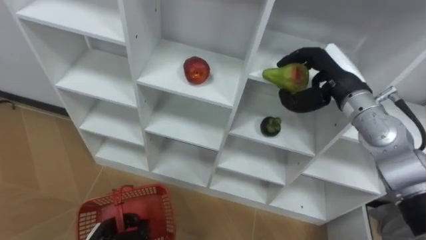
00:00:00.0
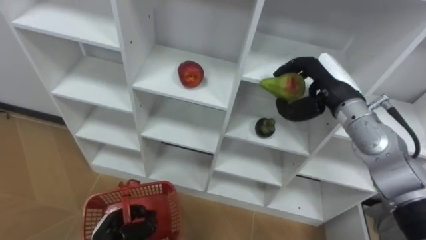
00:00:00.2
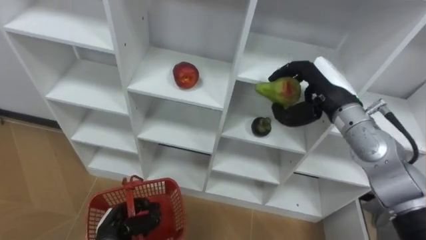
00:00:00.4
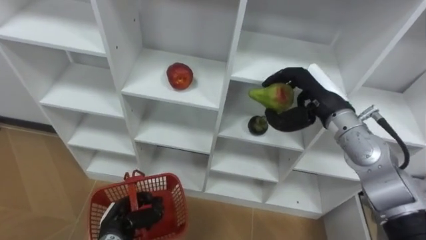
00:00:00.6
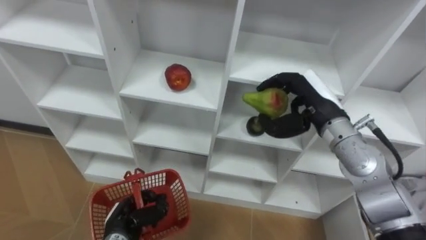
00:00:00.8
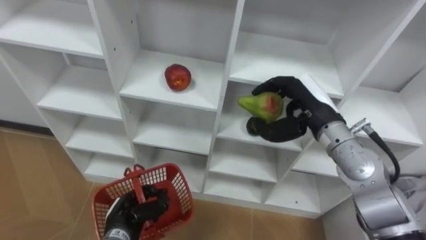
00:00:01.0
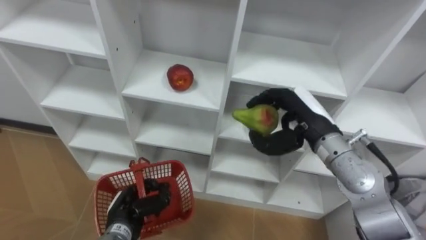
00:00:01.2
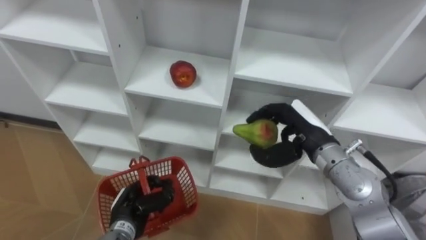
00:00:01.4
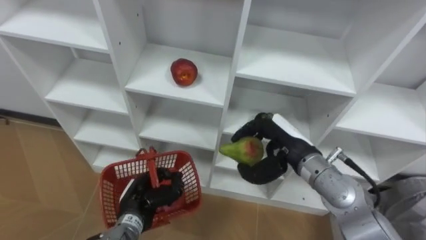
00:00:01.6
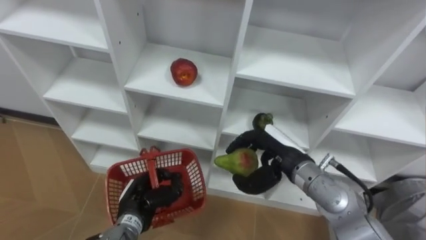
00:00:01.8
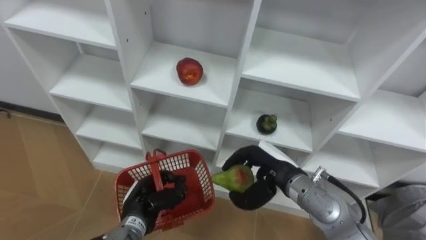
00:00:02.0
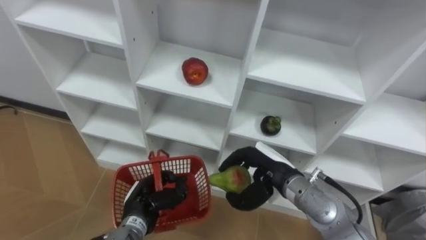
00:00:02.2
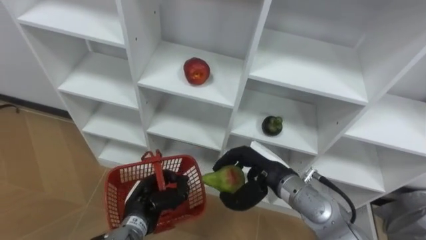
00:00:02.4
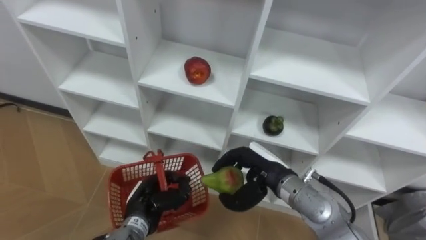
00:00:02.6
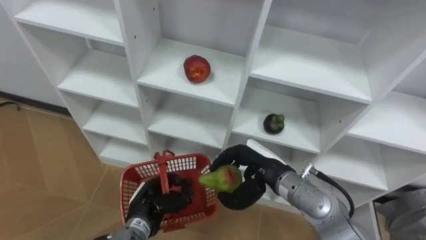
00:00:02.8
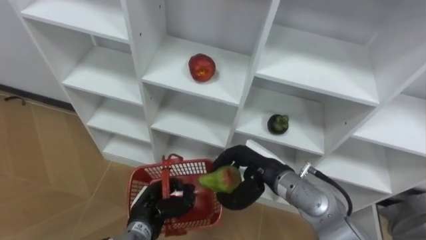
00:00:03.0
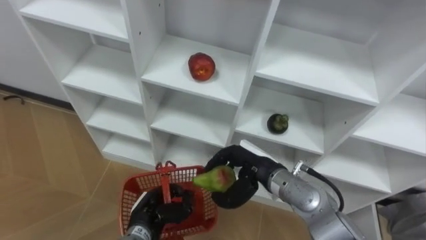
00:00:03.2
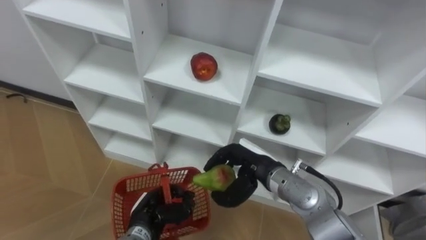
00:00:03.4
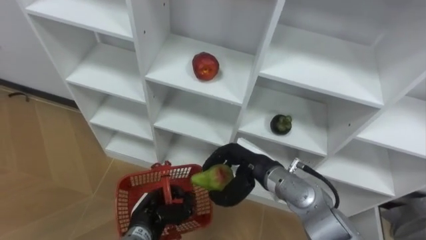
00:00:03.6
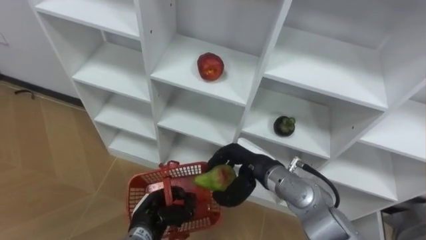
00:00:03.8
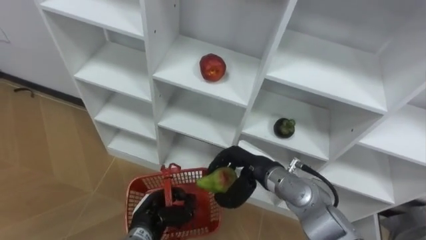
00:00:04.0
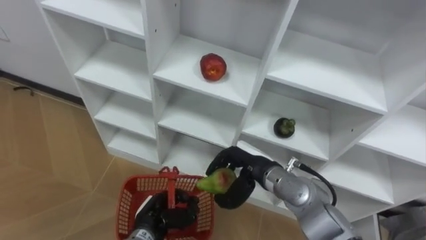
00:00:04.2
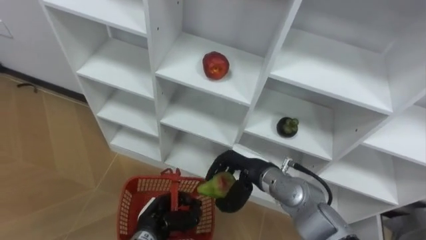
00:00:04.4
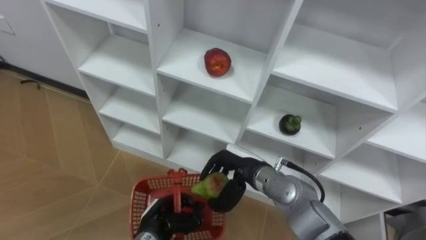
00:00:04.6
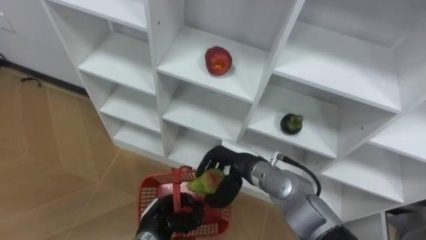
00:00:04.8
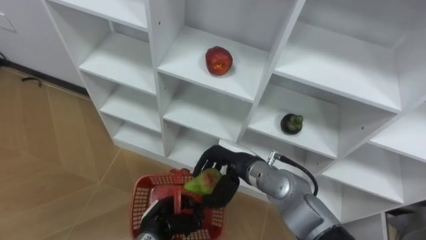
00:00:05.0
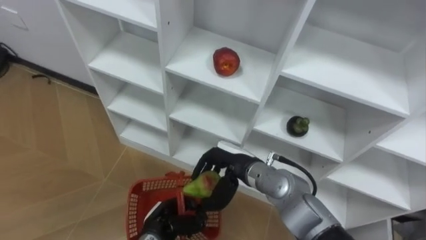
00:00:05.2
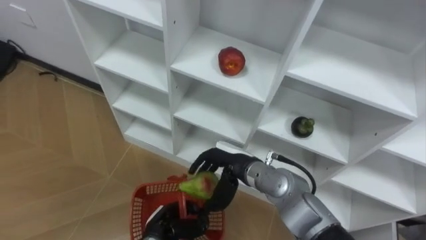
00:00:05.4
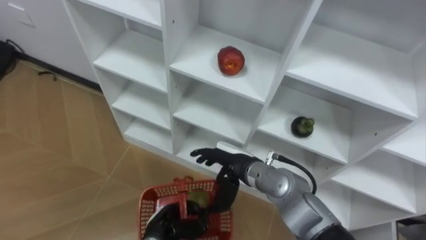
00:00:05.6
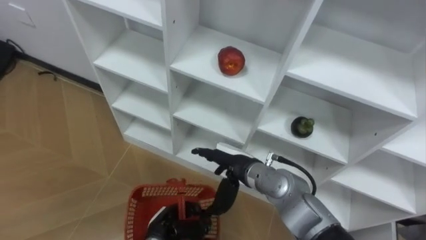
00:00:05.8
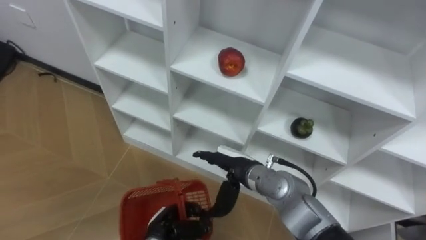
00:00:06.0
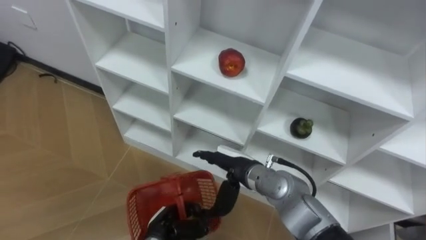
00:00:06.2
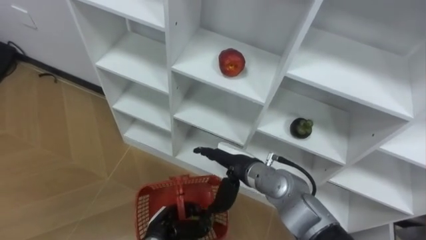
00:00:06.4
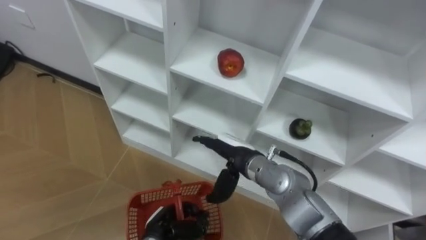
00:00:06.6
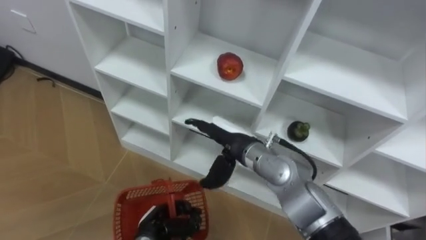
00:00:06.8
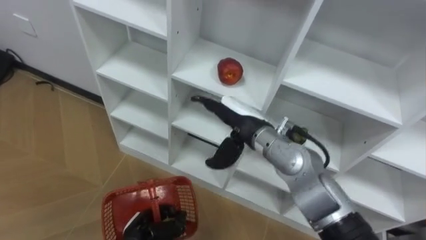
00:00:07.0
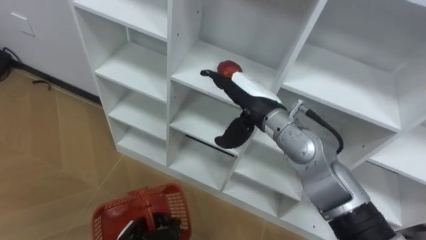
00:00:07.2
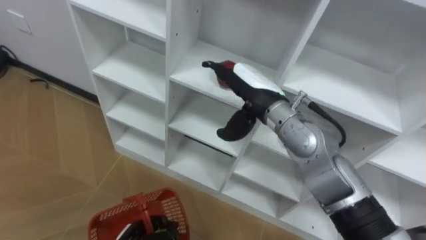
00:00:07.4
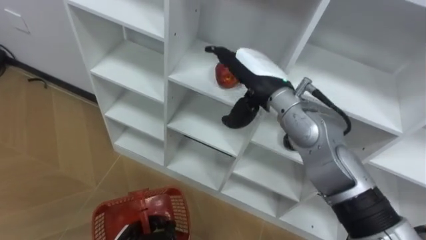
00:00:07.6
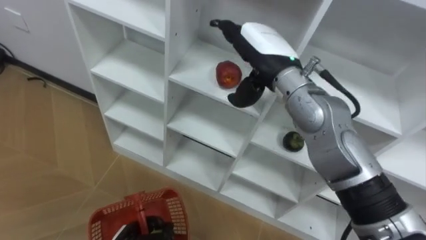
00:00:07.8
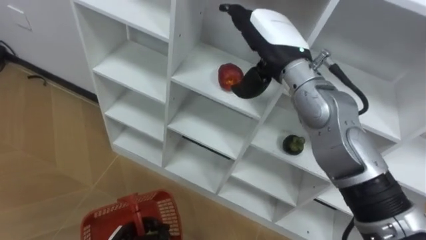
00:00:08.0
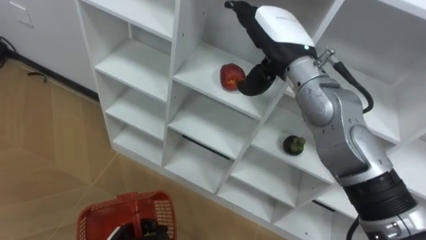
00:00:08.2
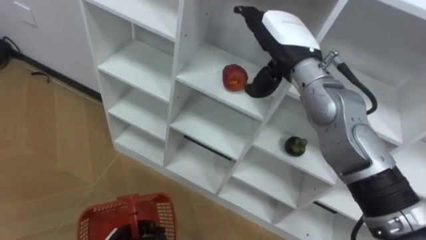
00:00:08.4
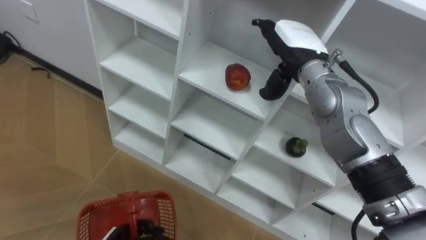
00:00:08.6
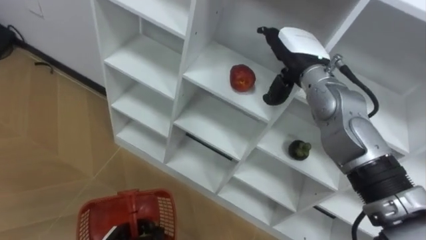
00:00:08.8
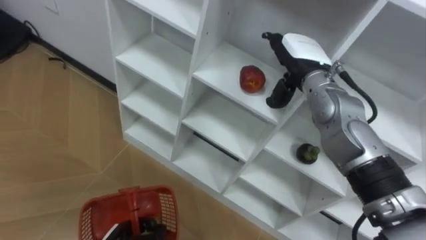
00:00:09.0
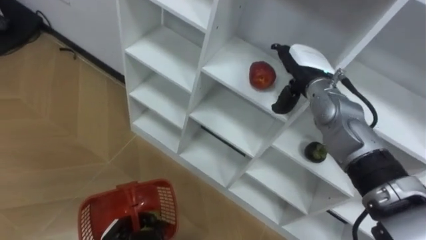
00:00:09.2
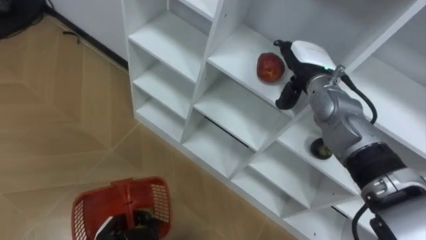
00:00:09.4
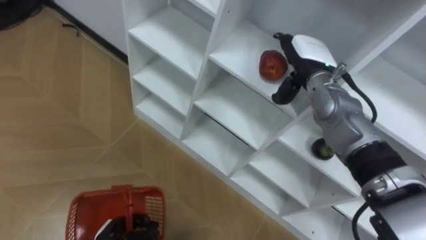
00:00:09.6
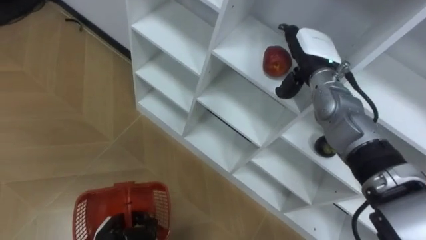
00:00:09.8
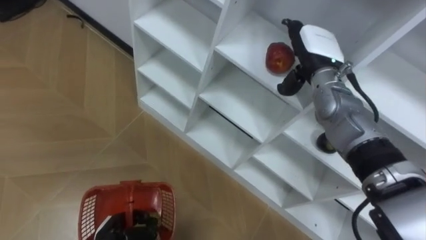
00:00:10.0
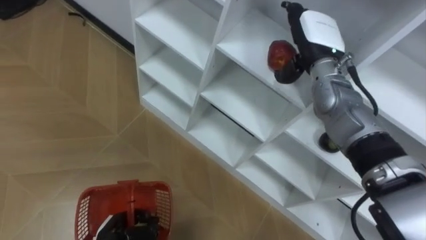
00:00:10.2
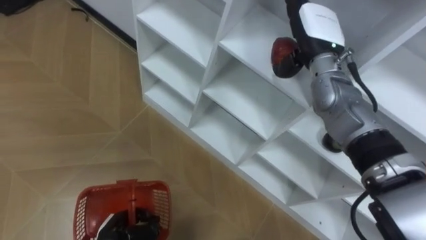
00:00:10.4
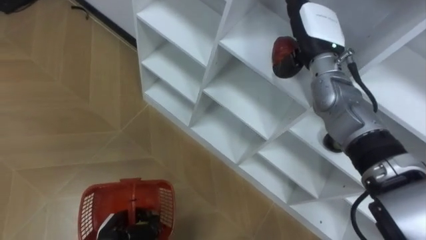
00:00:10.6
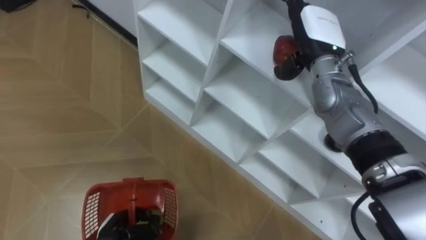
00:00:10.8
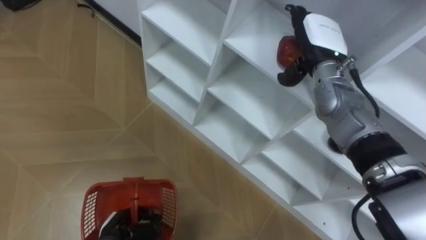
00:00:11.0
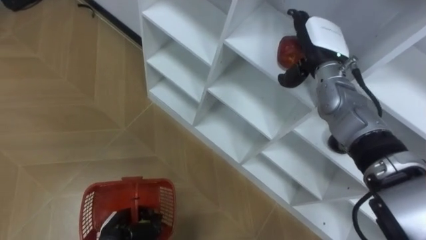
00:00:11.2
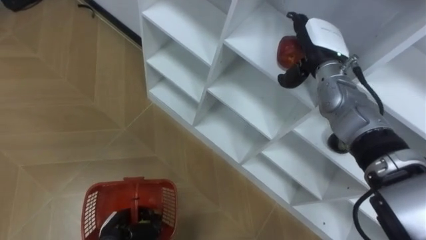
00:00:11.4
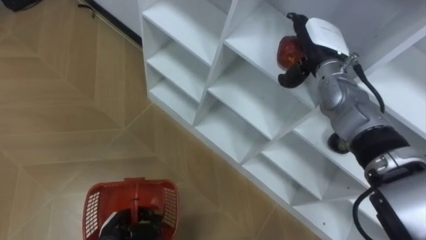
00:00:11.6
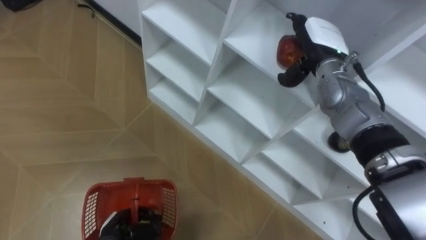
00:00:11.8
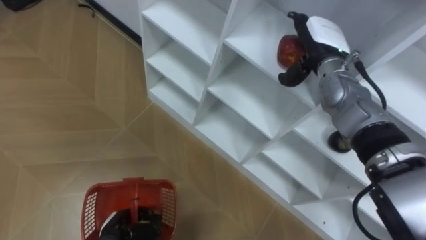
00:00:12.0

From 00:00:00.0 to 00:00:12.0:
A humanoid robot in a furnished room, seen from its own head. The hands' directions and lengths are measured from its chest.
Task of the whole recording: Hold the basket and collect the fruits from 3 different cells of the closet into it.
From 00:00:00.0 to 00:00:01.6: The right hand is displaced downward, backward and to the left by approximately 15 cm; the left hand moves forward, to the right and upward, approximately 10 cm.
From 00:00:01.6 to 00:00:03.0: The right hand changes place by some 5 cm.
From 00:00:04.4 to 00:00:06.0: The right hand opens its fingers.
From 00:00:06.0 to 00:00:07.6: The left hand is displaced to the left by about 5 cm; the right hand heads upward and forward, covering approximately 20 cm.
From 00:00:07.6 to 00:00:09.0: The right hand goes approximately 10 cm to the right and forward.

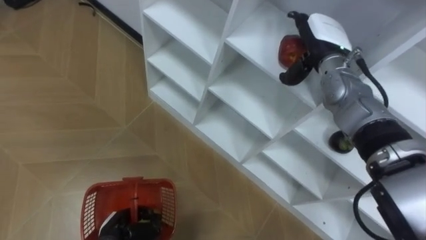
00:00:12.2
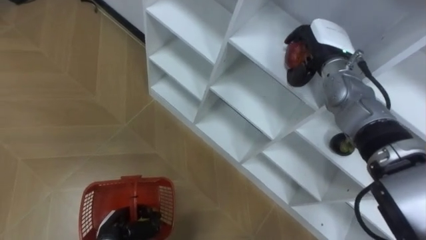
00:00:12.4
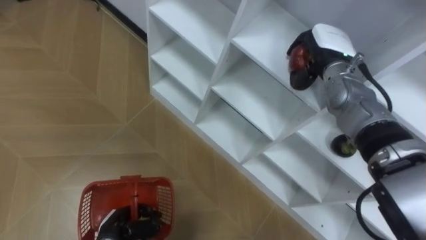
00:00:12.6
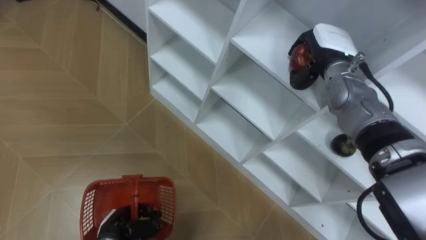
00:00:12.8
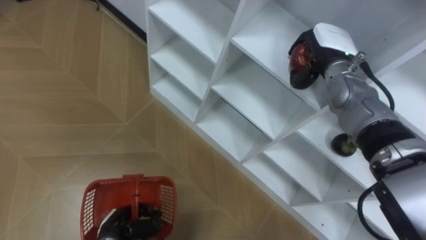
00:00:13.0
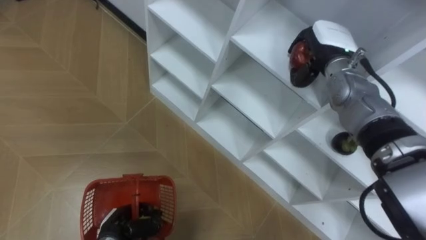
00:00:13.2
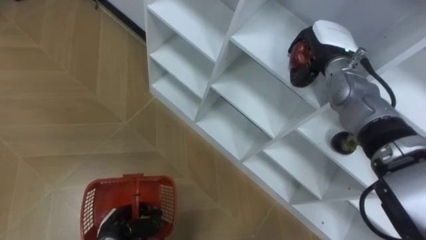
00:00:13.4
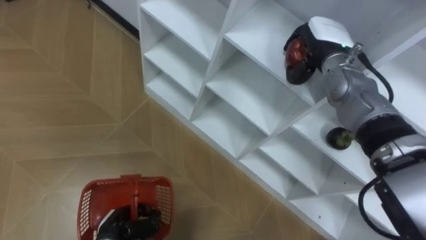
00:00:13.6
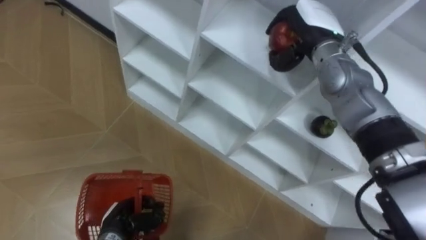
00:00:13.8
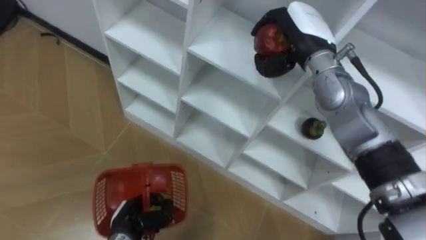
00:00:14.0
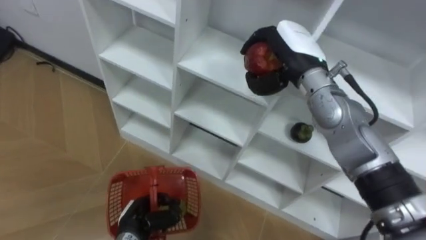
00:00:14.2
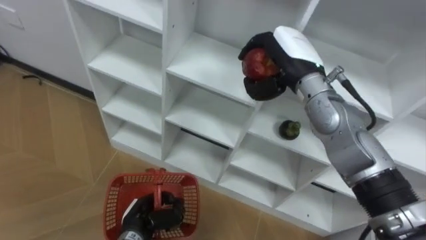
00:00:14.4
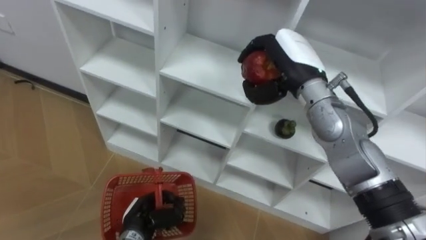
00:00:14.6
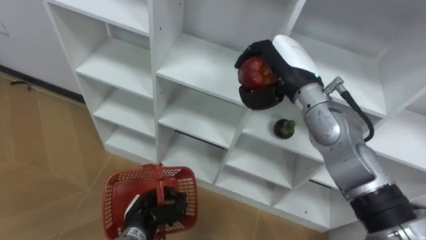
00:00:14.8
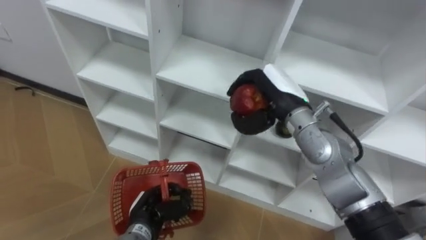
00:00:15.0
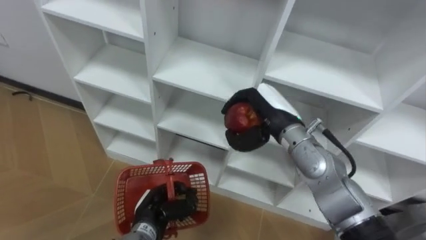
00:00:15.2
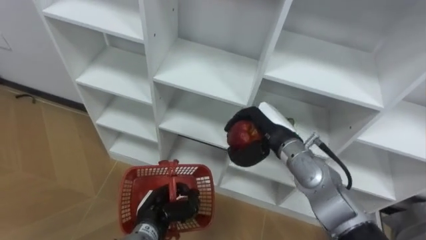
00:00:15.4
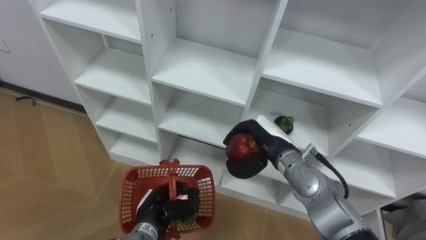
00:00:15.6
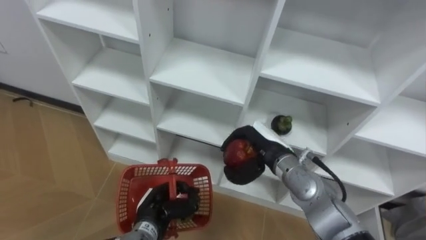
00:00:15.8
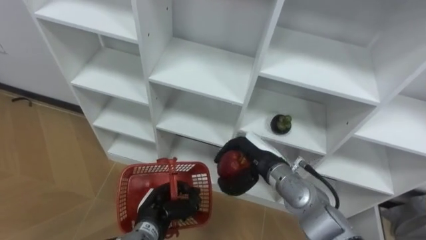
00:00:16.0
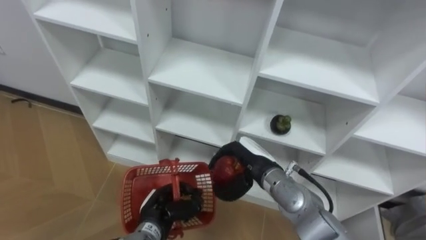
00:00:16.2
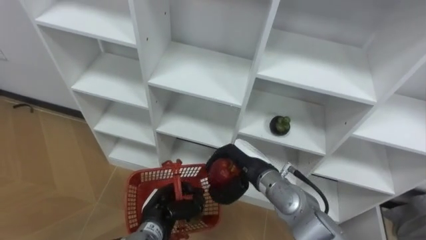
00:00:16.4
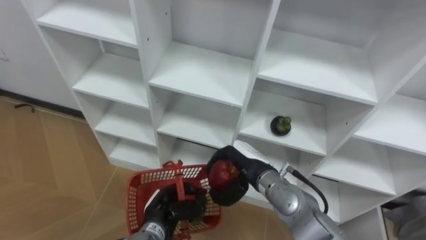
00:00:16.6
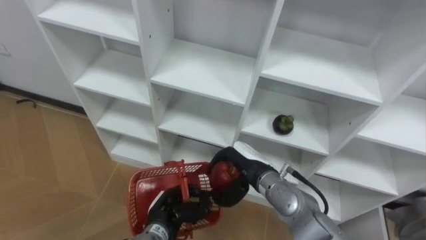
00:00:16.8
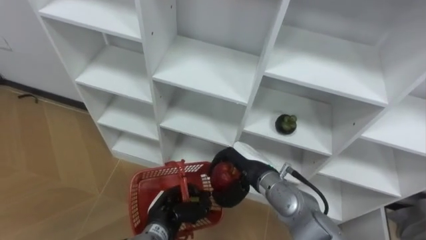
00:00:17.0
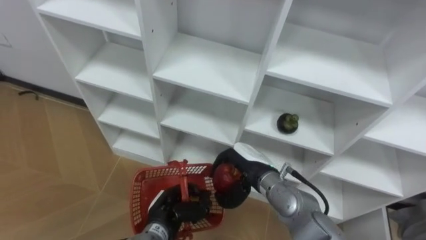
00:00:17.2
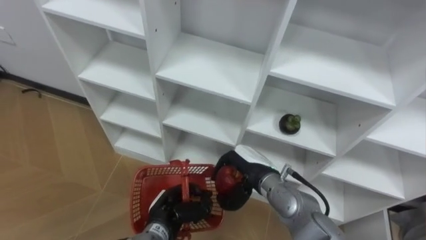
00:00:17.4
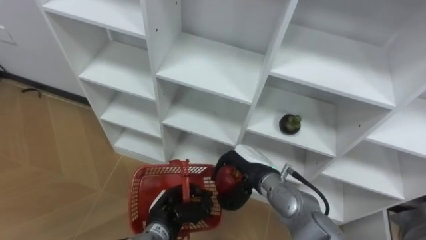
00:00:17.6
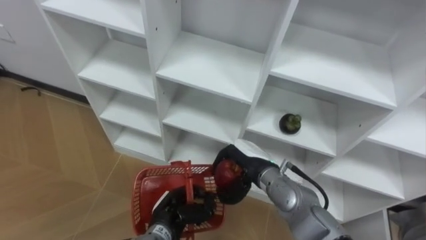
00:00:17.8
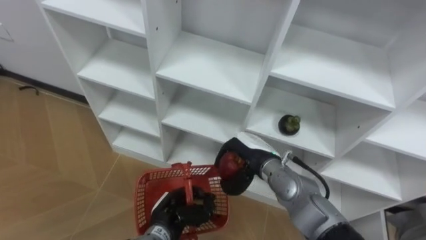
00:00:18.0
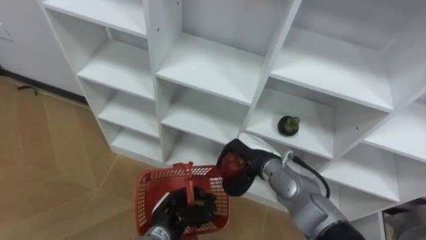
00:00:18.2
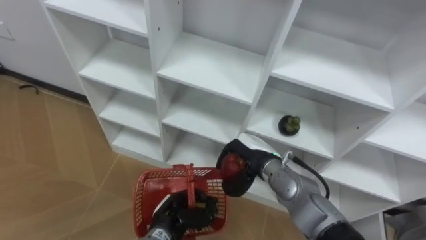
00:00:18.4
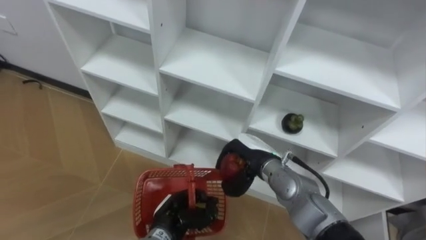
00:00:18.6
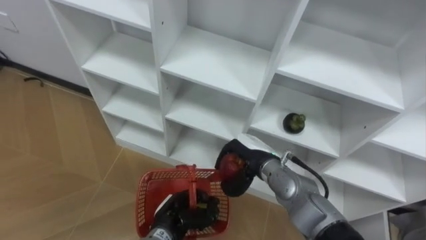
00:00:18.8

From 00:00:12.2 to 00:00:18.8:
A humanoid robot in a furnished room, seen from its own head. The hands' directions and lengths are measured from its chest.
Task of the whole recording: Hold the basket and collect the fruits from 3 different cells of the closet into it.
From 00:00:12.2 to 00:00:13.8: The right hand closes.
From 00:00:13.8 to 00:00:15.4: The left hand travels to the right by approximately 10 cm. The right hand shifts some 20 cm downward and backward.
From 00:00:15.4 to 00:00:17.2: The right hand moves downward, some 5 cm.
